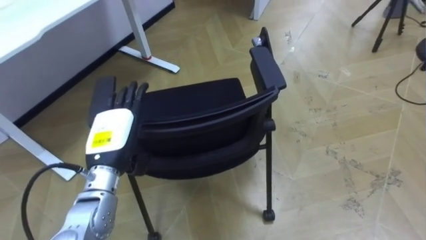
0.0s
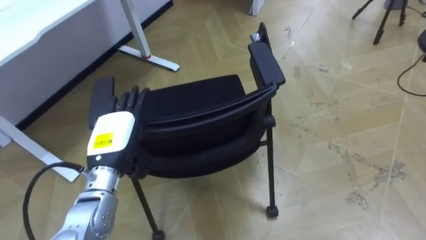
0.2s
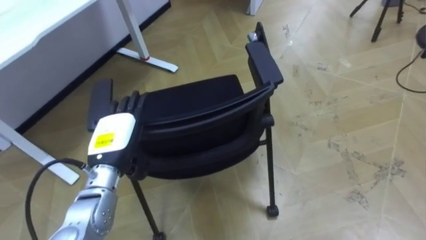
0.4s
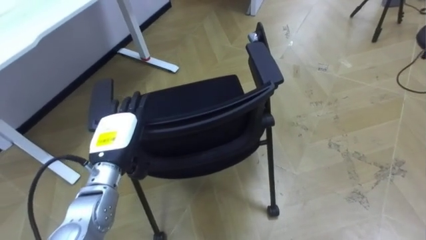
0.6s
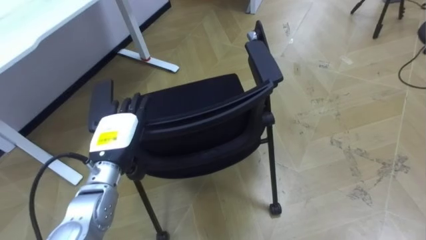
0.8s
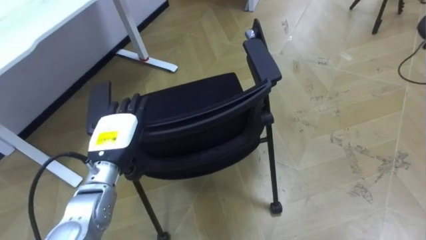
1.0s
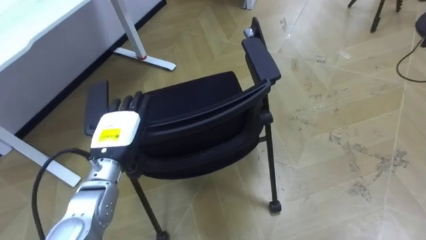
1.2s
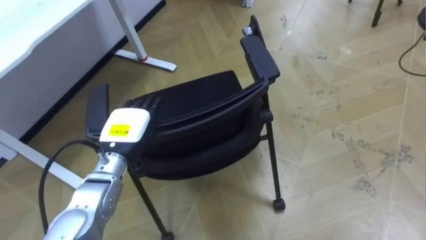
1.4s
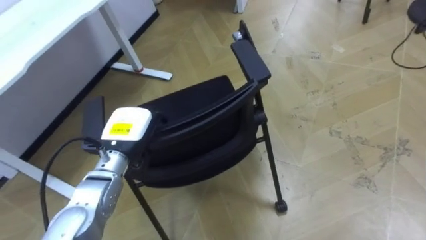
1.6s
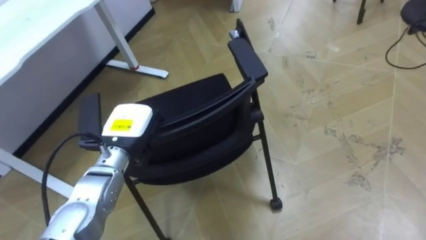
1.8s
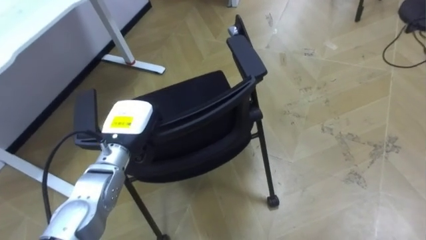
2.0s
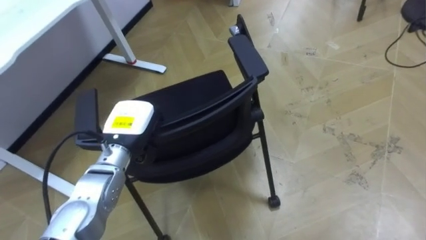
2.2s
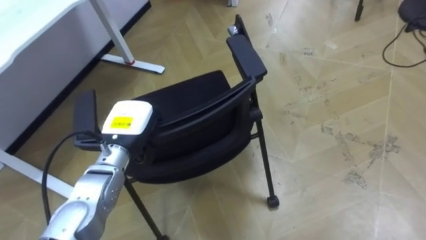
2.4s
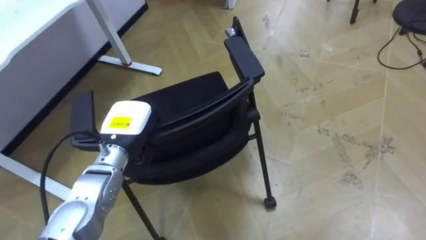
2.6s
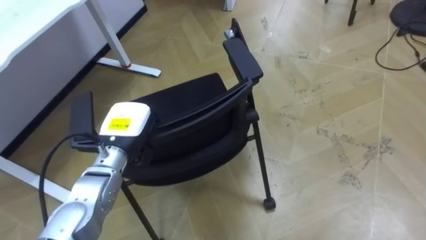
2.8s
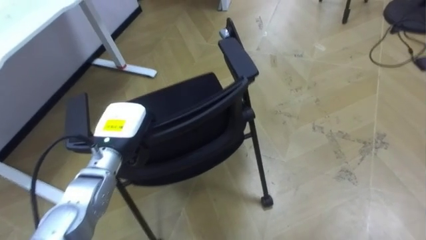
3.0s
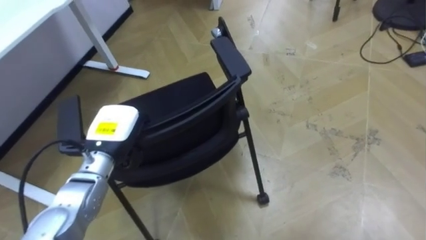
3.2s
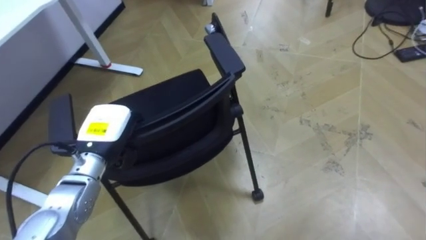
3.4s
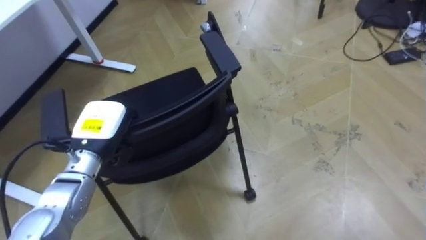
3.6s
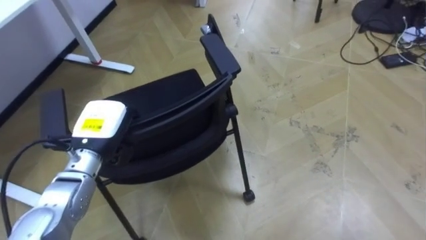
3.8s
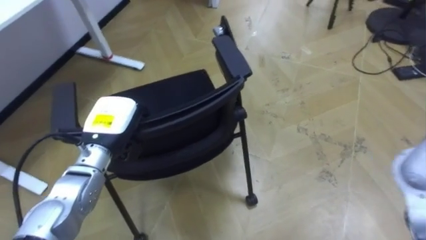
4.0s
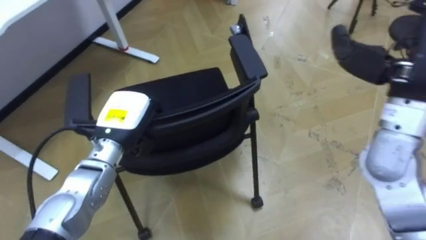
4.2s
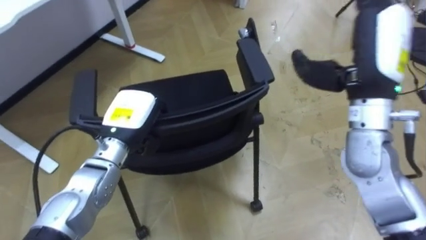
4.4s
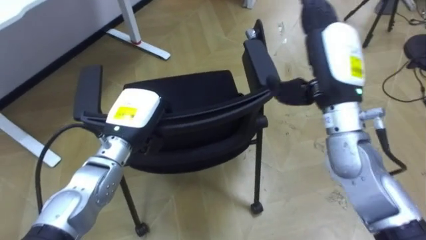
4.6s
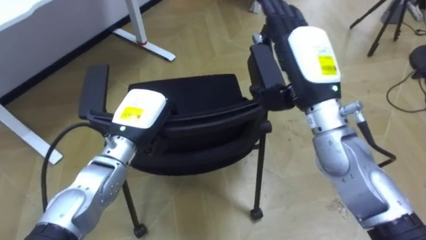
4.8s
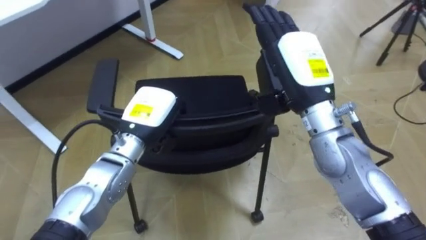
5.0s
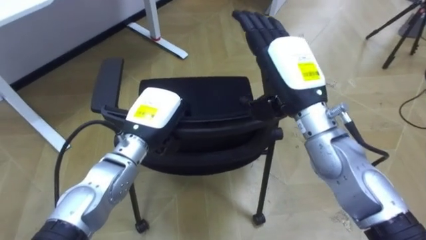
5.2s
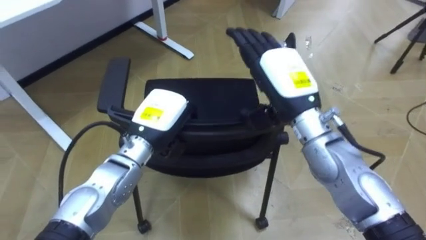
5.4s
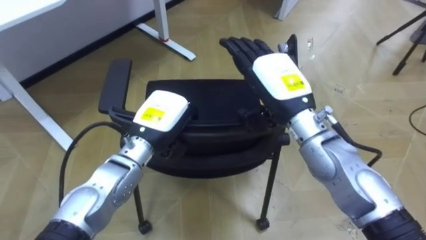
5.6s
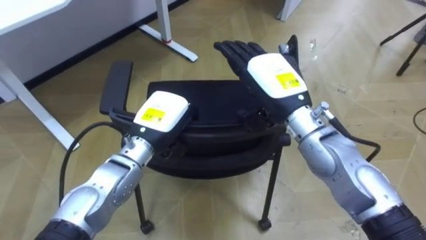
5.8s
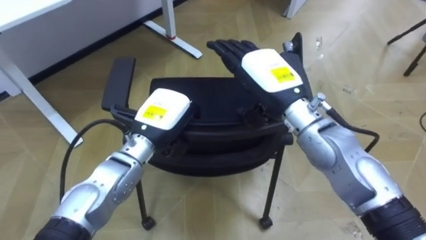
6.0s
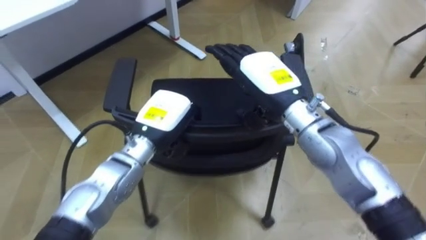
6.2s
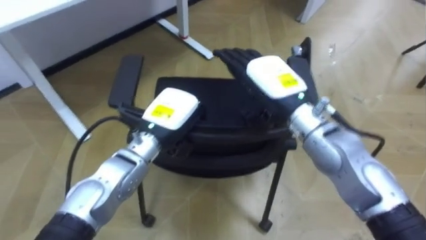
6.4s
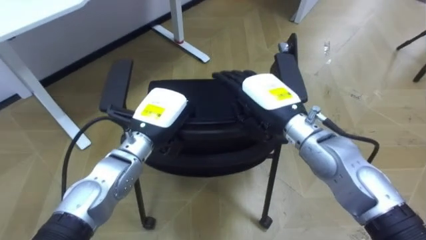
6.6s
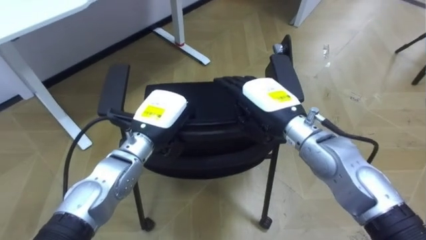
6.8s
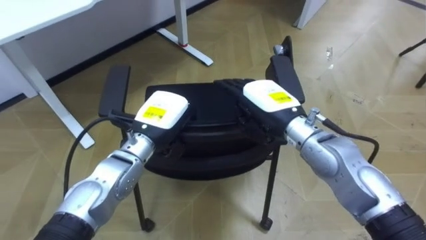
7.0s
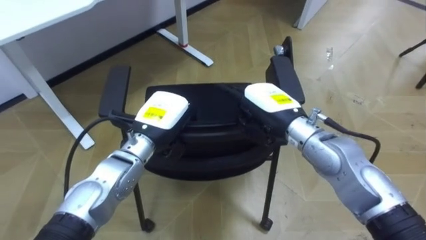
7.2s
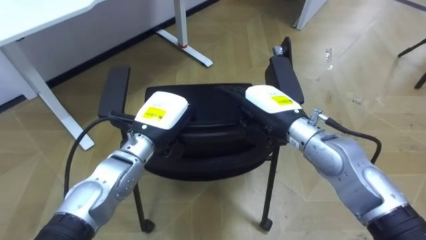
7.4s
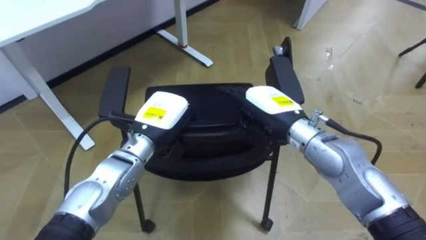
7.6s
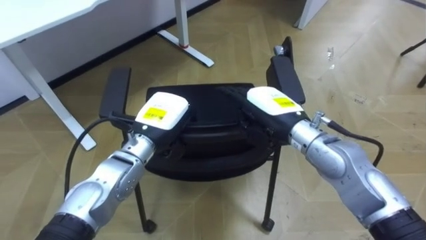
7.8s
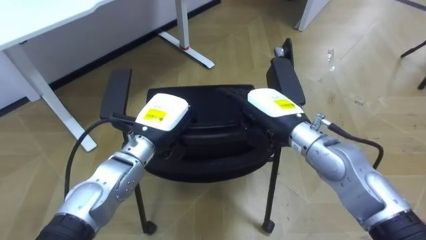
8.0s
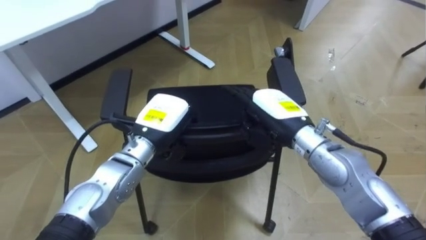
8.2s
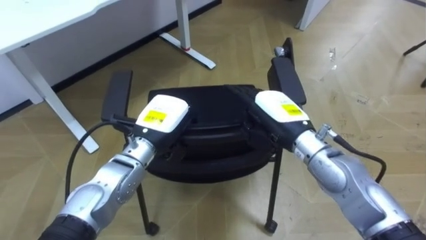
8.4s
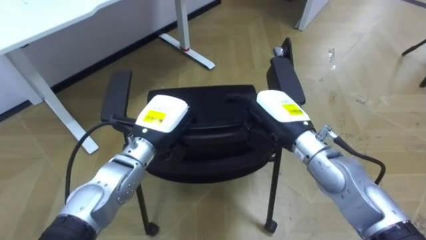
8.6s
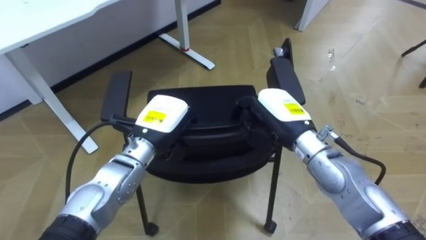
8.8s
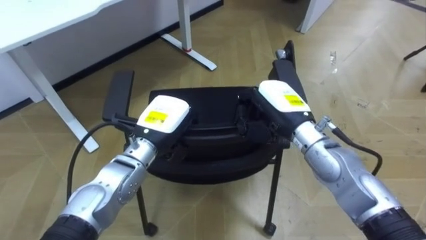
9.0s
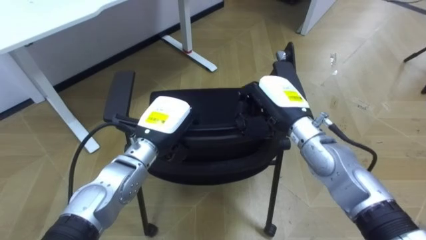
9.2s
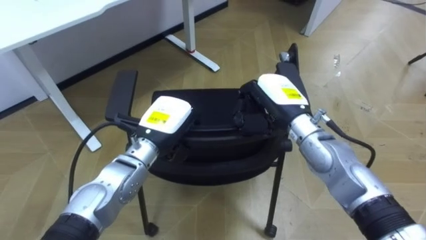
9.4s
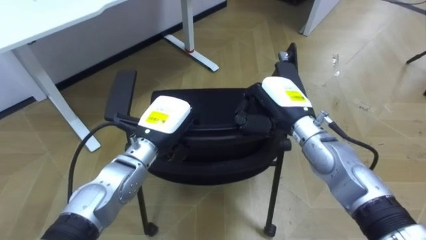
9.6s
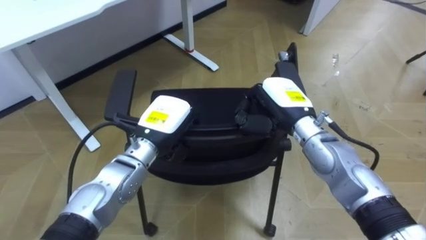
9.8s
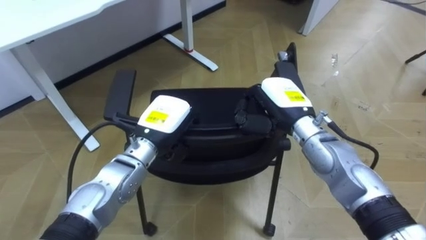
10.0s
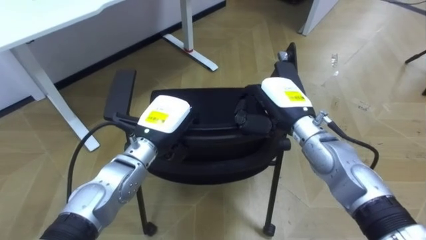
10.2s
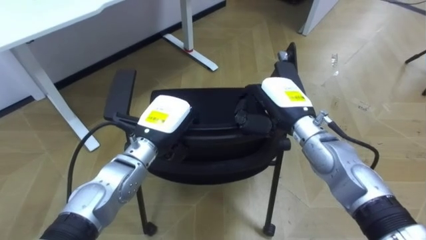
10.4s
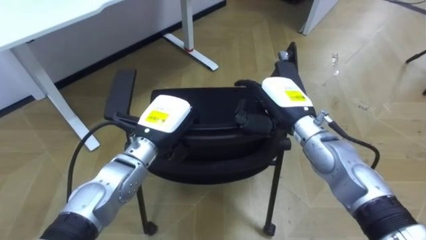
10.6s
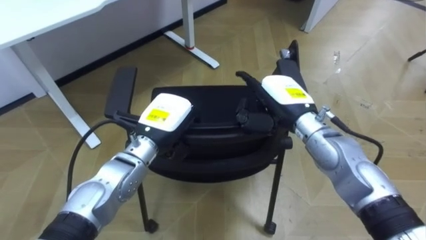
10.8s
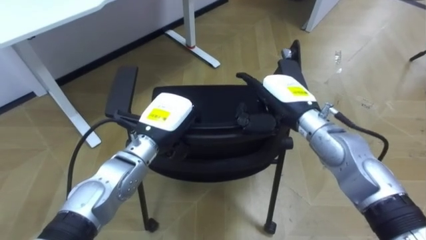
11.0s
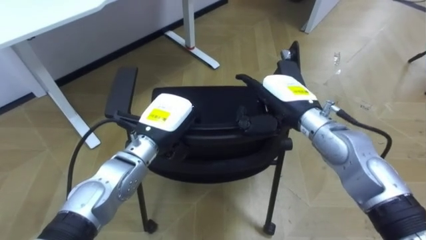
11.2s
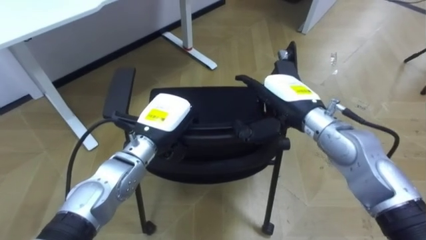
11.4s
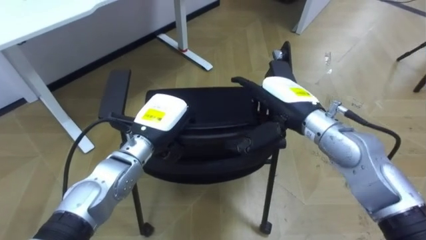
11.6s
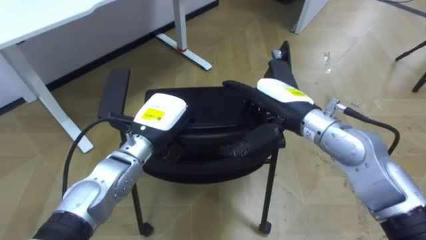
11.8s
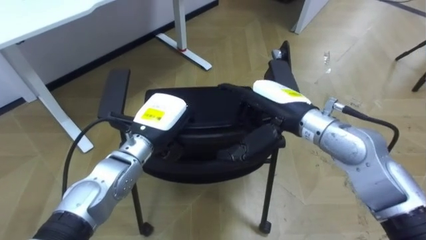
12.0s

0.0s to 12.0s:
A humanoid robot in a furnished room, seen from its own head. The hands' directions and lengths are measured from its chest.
Task of the whole recording: Push the chair under the table.
0.0s to 1.6s: The left hand closes.
1.6s to 3.0s: The left hand closes its fingers.
4.4s to 6.0s: The left hand moves to the right, some 5 cm. Meanwhile the right hand heads to the left and downward, covering approximately 15 cm.
6.0s to 7.6s: The right hand heads downward, covering roughly 5 cm.
7.6s to 9.0s: The right hand closes its fingers.
9.0s to 10.4s: The hands move only a little.
10.4s to 12.0s: The right hand moves about 5 cm, and opens.

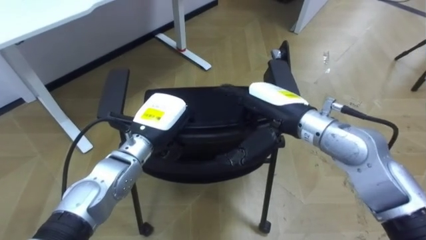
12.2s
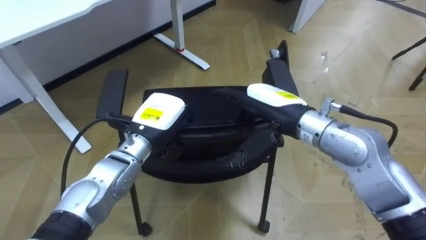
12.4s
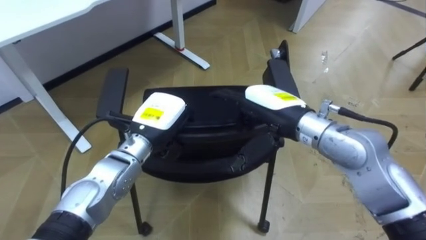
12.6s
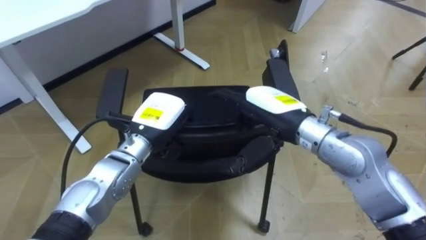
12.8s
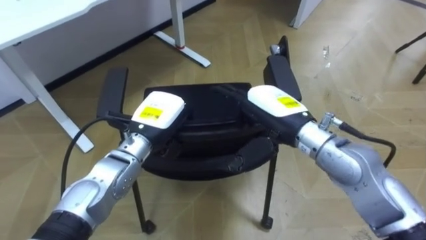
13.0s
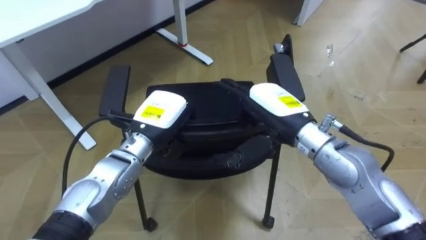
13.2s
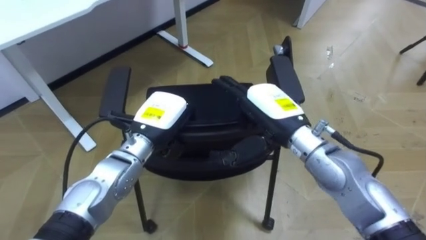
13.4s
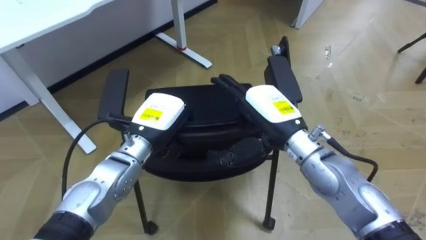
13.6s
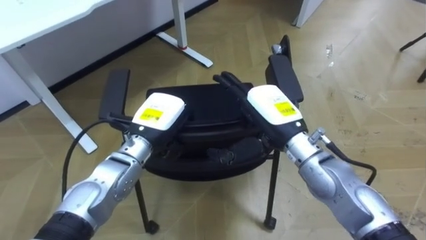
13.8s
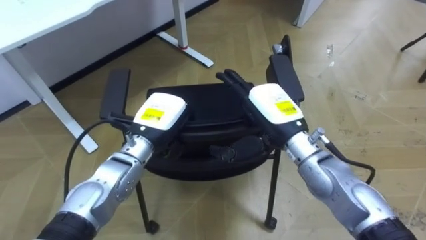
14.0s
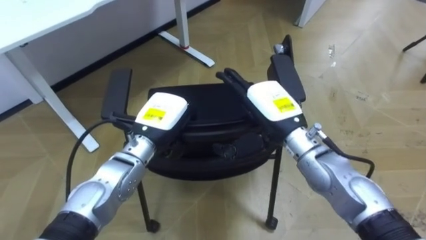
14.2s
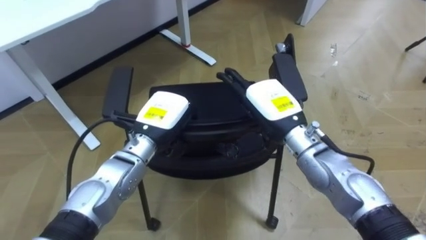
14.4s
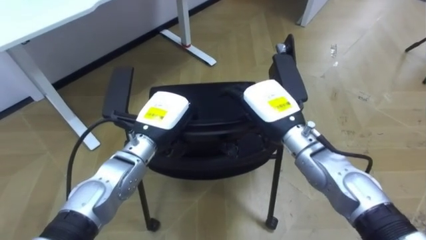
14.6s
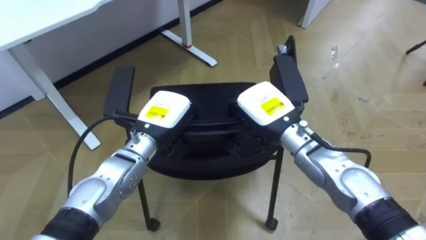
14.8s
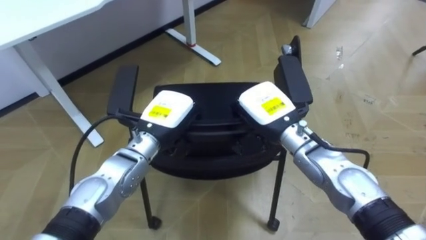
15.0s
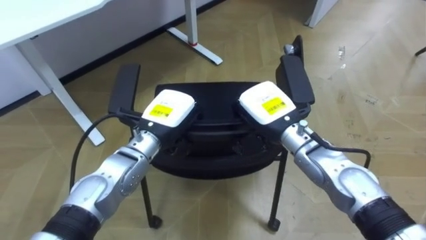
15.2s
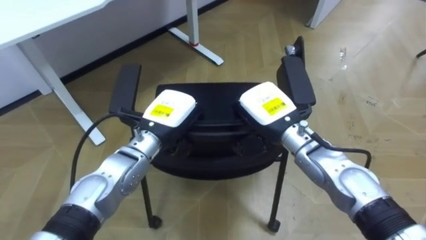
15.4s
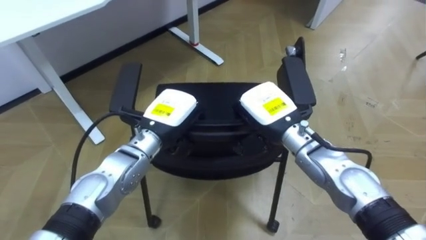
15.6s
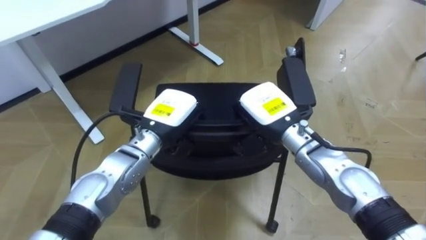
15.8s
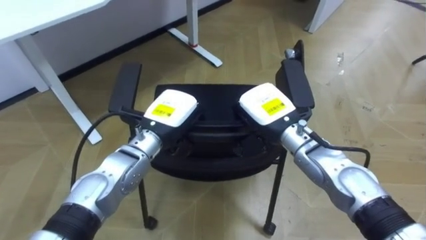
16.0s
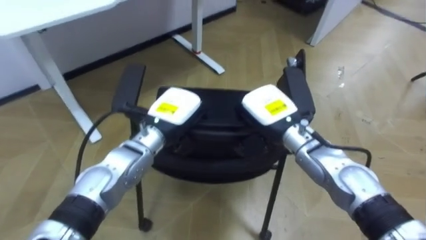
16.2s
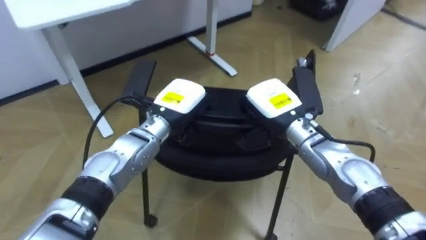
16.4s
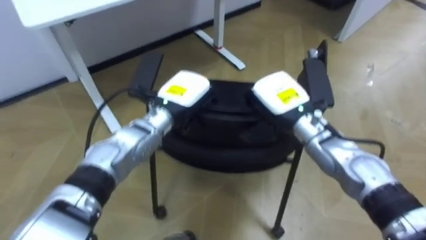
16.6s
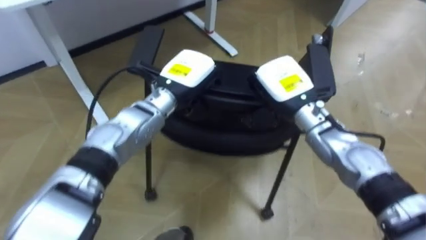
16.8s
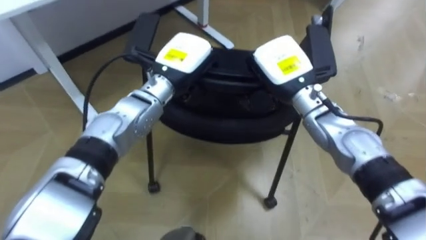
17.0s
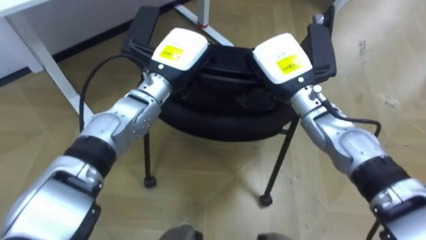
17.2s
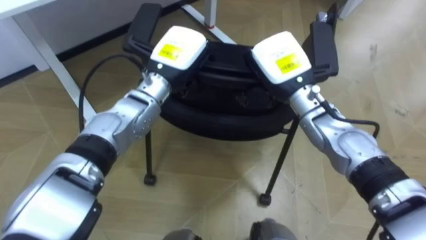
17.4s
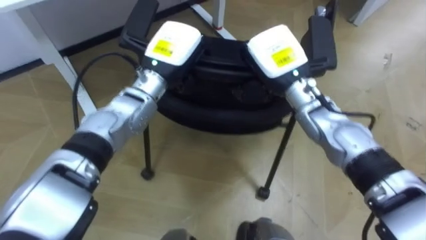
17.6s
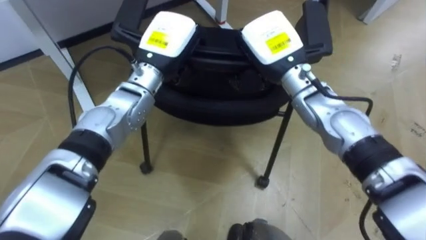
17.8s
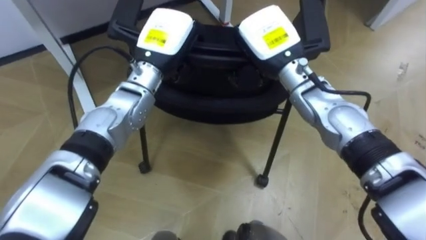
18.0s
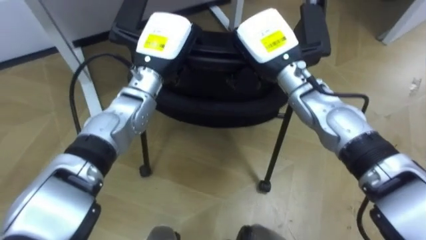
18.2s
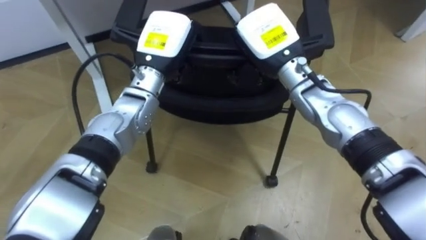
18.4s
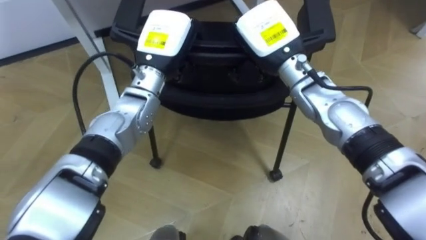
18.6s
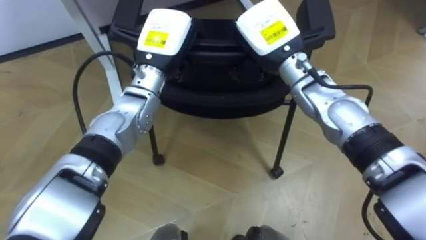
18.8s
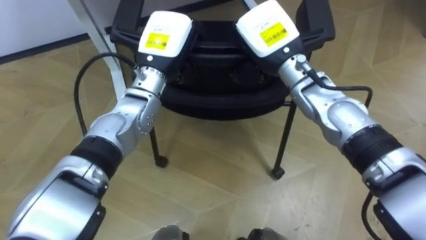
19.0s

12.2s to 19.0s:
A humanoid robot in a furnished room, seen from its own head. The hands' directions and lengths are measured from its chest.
Task of the whole recording: Push the chair under the table.
12.2s to 13.6s: The hands make only small movements.
13.6s to 15.0s: The right hand closes up.
16.2s to 17.6s: Both hands travel together upward and forward, some 10 cm.
